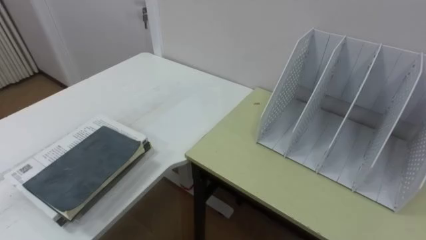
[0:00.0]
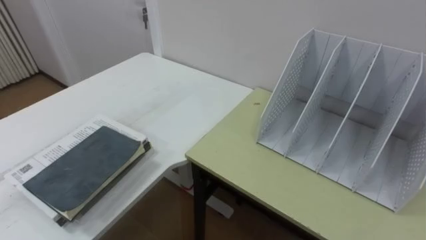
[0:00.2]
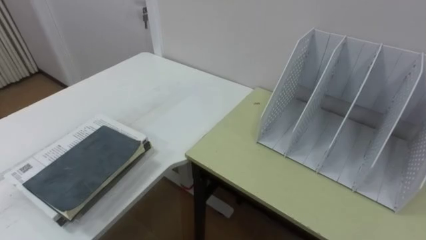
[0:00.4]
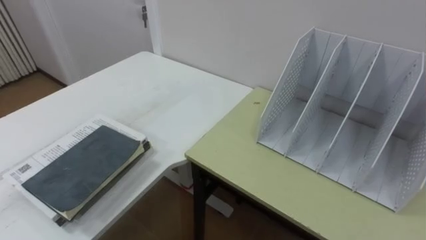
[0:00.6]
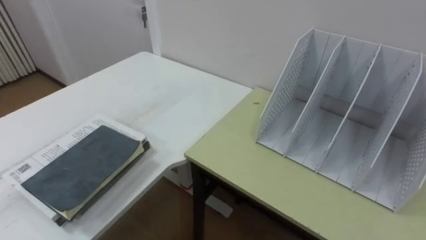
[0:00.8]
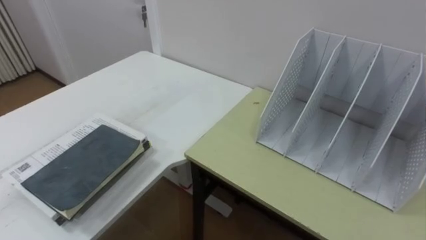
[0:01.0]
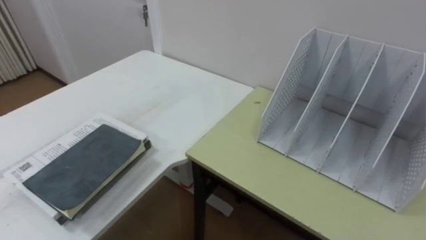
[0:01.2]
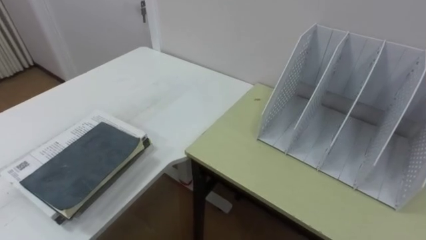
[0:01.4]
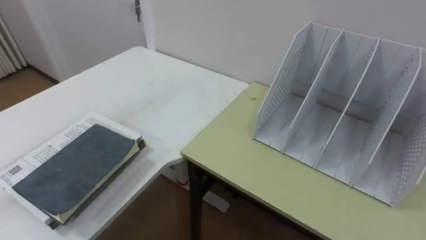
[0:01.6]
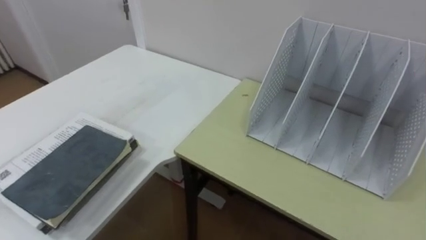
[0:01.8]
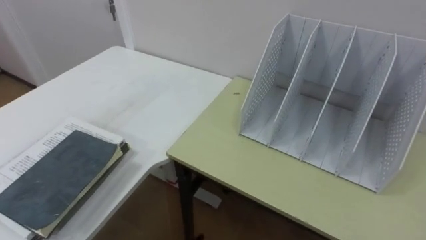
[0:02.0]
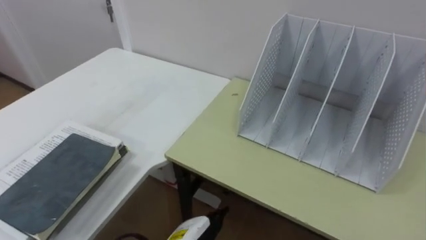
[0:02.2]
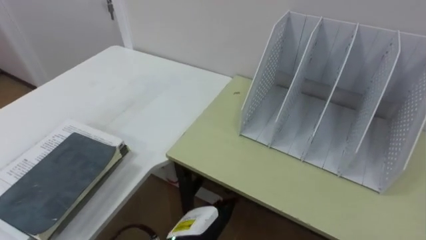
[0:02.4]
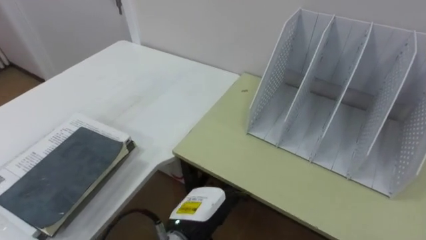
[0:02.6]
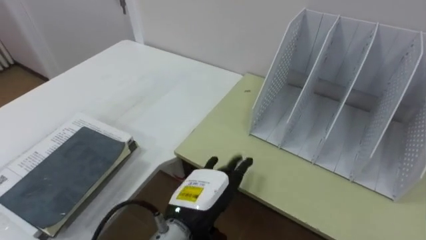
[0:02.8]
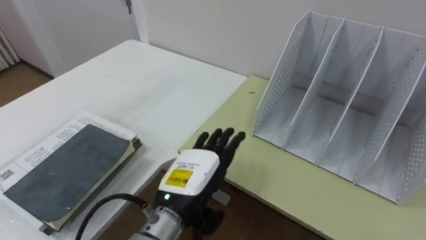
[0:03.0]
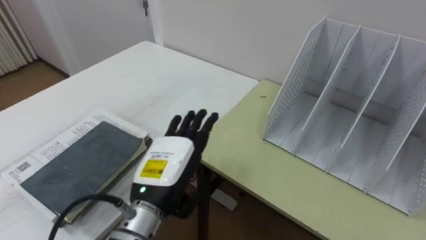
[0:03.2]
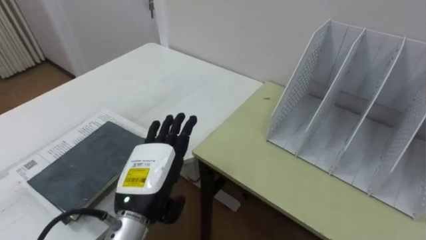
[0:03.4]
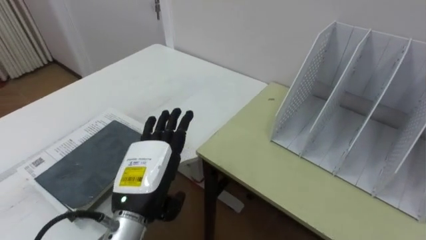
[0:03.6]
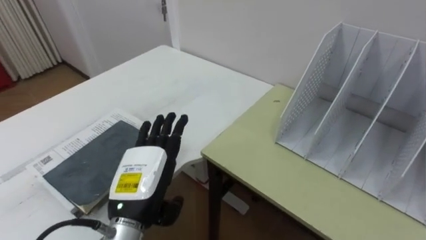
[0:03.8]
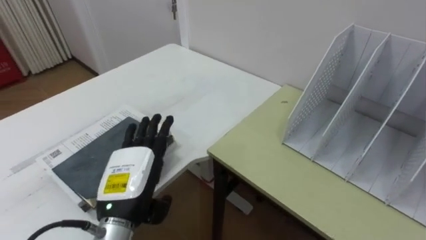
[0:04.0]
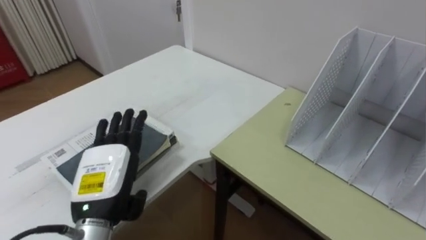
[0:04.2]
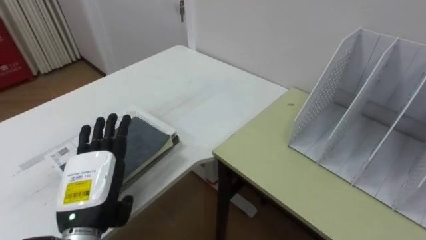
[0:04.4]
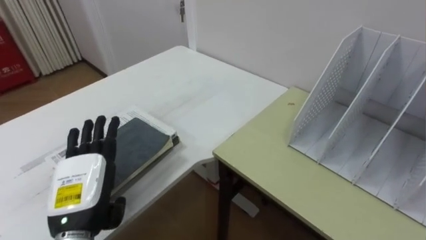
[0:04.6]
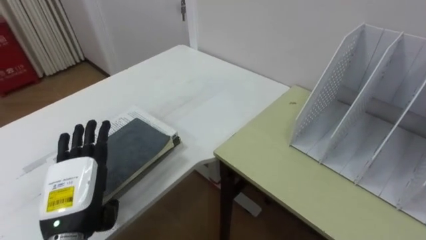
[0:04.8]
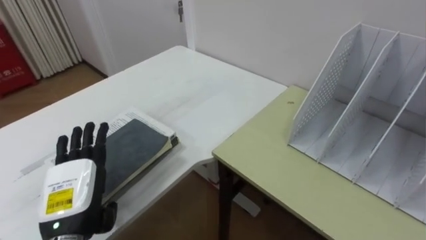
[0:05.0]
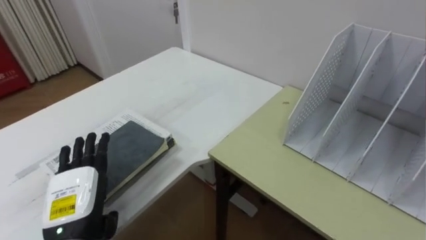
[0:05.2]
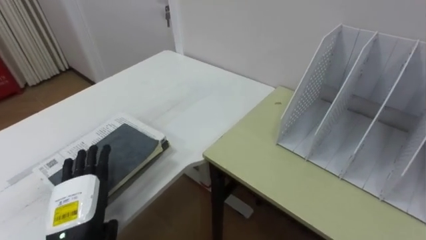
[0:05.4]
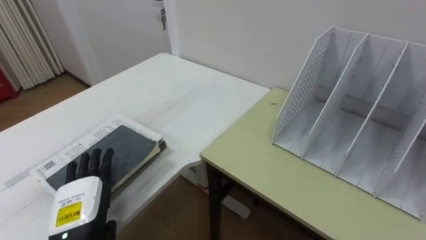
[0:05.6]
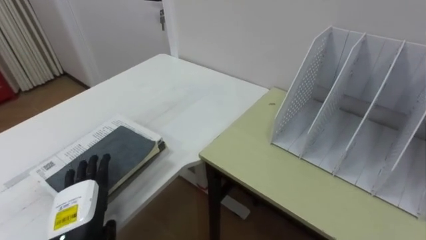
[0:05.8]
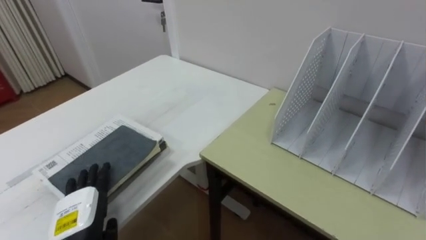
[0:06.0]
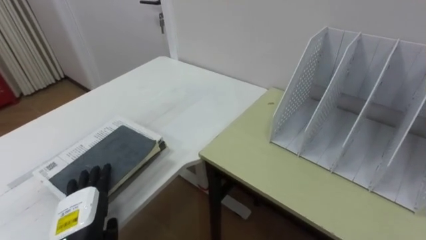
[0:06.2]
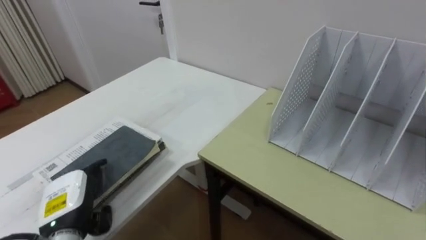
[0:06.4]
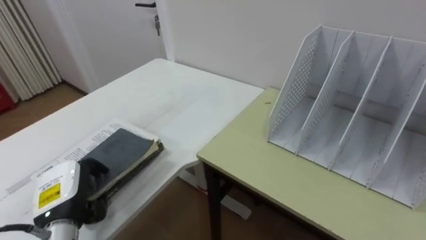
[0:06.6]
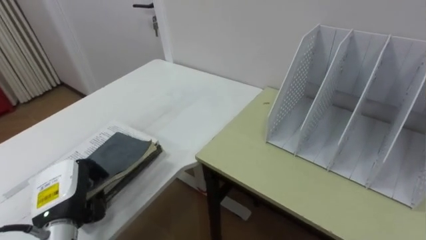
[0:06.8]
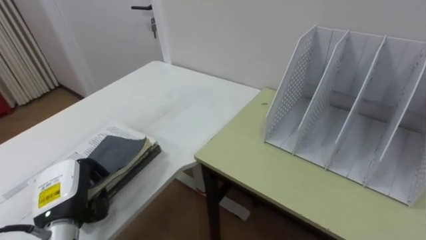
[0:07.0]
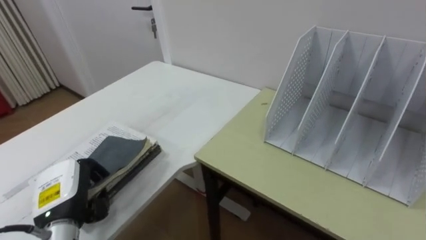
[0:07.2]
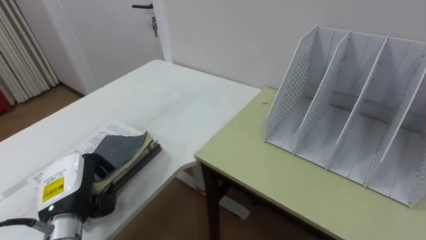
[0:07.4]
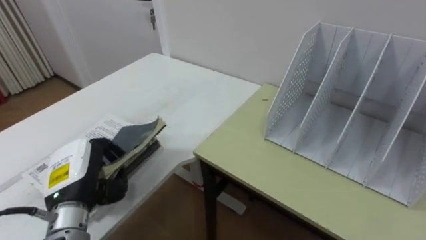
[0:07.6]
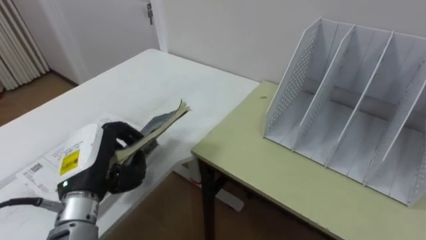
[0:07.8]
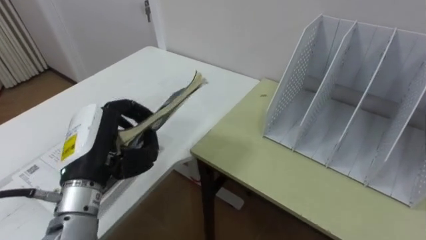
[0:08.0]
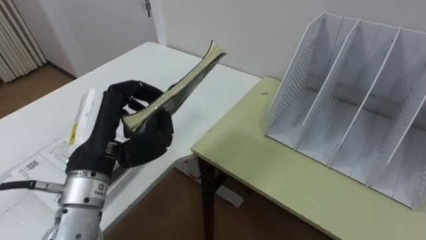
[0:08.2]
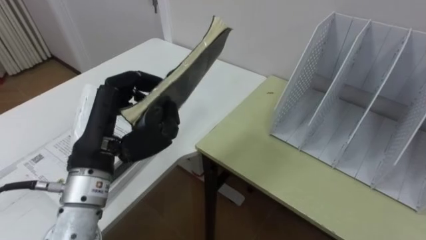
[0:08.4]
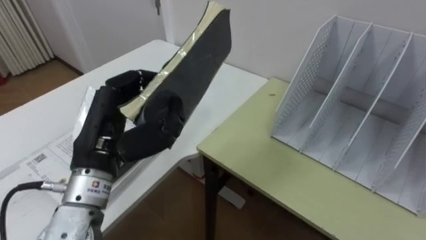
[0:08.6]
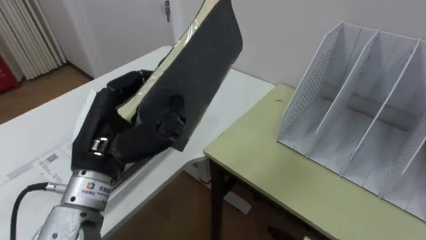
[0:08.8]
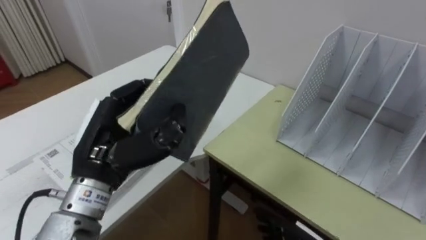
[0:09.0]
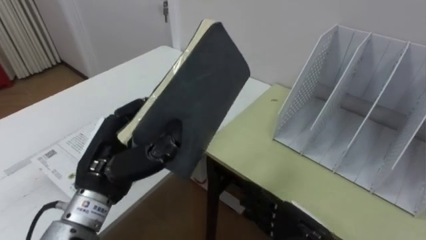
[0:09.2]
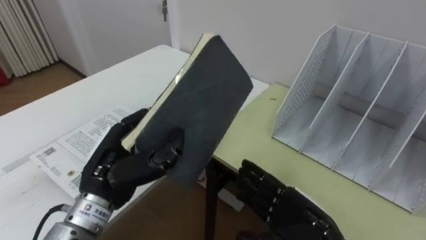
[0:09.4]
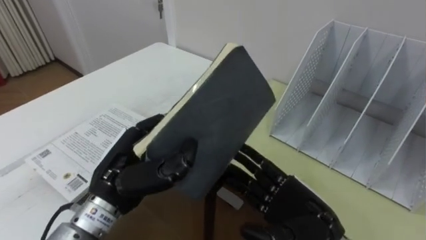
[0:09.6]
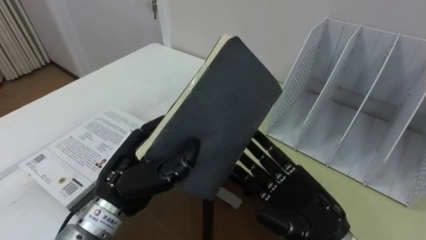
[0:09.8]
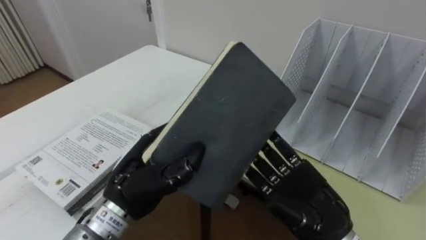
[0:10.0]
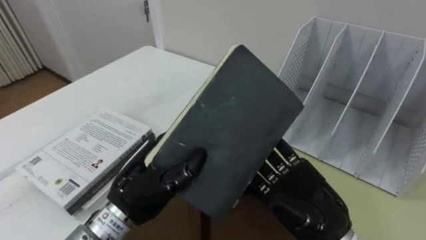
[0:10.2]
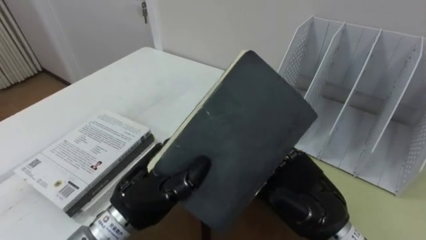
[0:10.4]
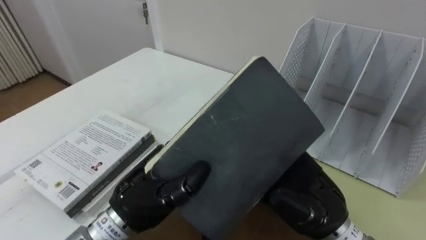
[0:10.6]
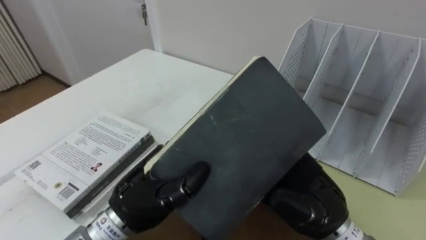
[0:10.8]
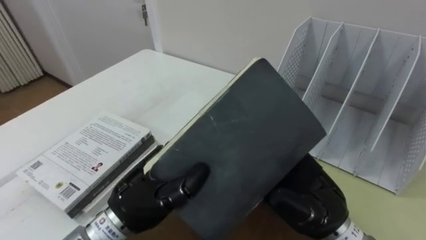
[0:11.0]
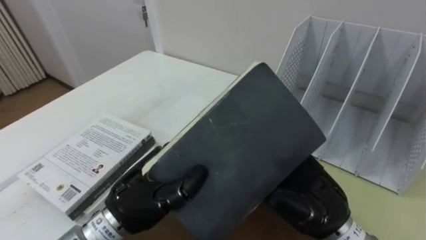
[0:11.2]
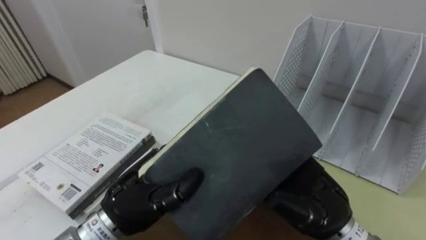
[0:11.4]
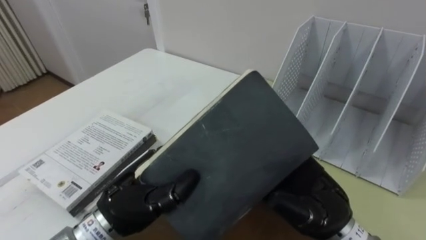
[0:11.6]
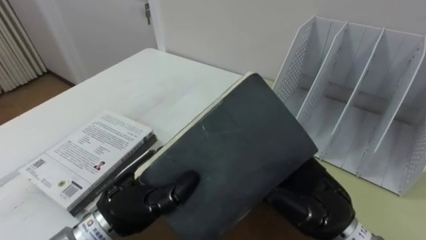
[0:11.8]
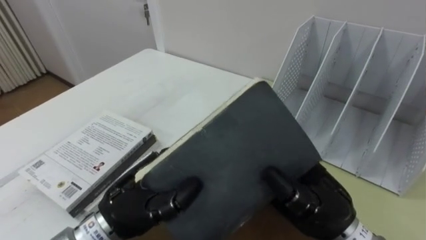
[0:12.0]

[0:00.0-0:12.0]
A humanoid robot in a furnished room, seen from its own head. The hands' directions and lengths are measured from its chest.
Task of the whole recording: Put the books on the table onto the bookshelf.
0:03.0 to 0:04.4: The left hand travels to the left by approximately 15 cm.
0:04.4 to 0:06.0: The left hand goes some 10 cm downward.
0:06.0 to 0:07.6: The left hand moves upward, approximately 5 cm, and closes up.
0:07.6 to 0:09.0: The left hand goes some 15 cm upward and to the right.
0:09.0 to 0:10.4: The left hand shifts about 5 cm downward.
0:10.4 to 0:12.0: The right hand closes.

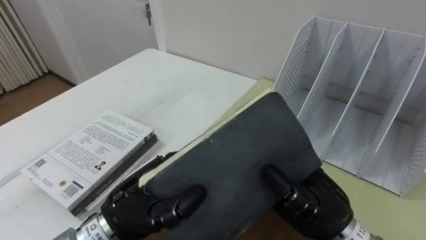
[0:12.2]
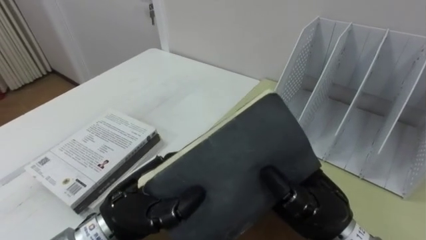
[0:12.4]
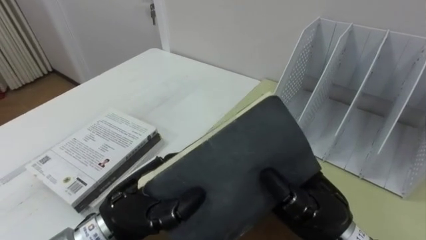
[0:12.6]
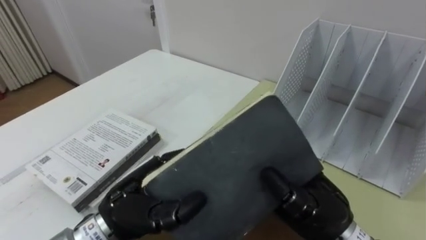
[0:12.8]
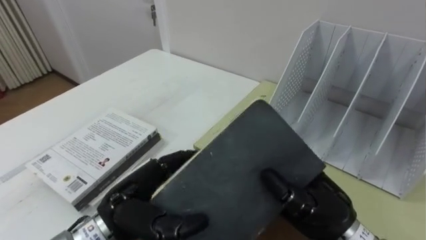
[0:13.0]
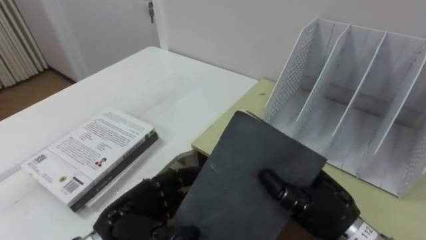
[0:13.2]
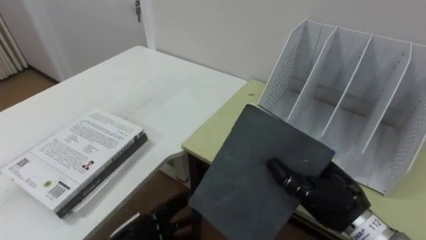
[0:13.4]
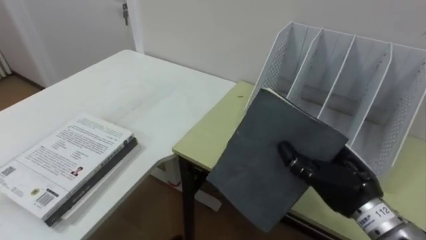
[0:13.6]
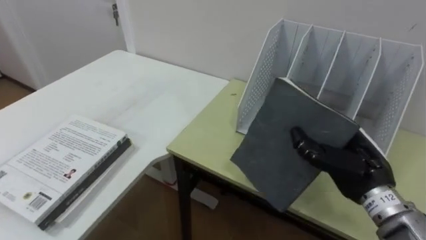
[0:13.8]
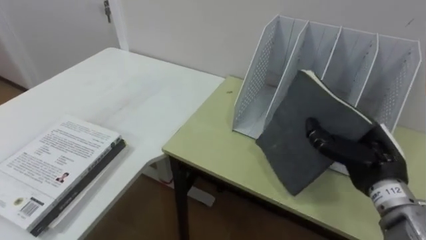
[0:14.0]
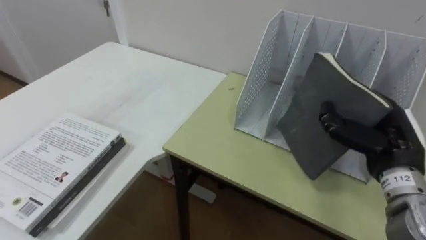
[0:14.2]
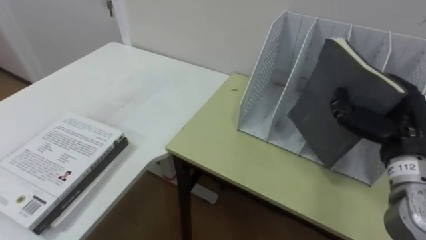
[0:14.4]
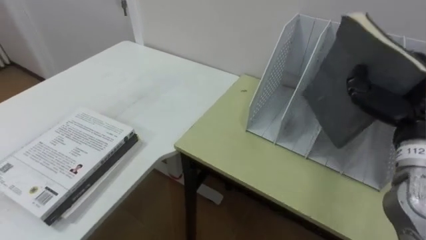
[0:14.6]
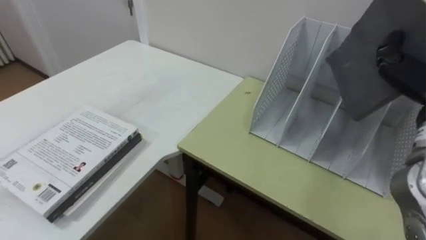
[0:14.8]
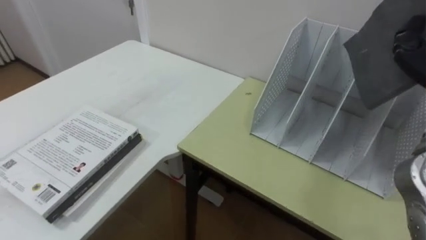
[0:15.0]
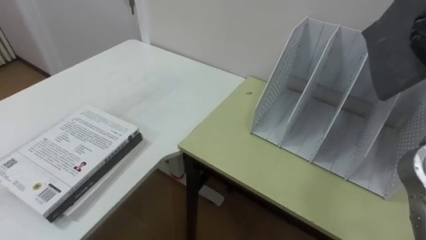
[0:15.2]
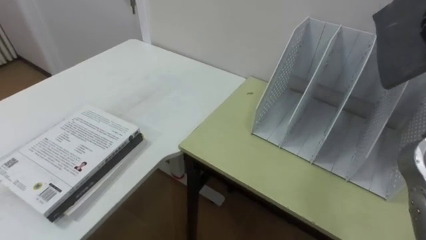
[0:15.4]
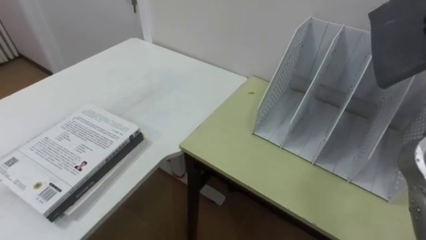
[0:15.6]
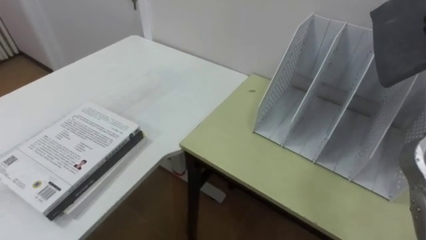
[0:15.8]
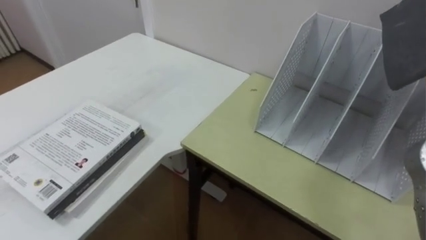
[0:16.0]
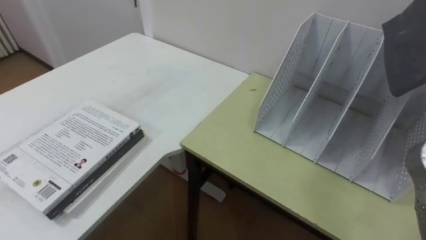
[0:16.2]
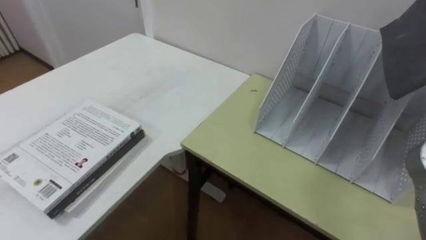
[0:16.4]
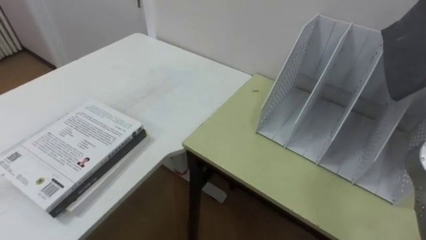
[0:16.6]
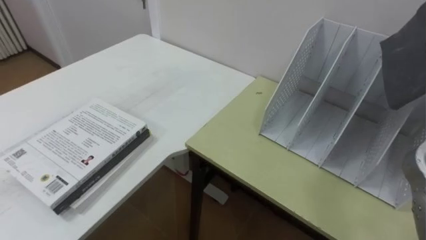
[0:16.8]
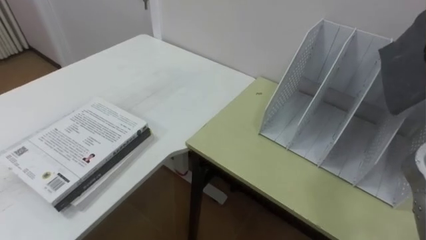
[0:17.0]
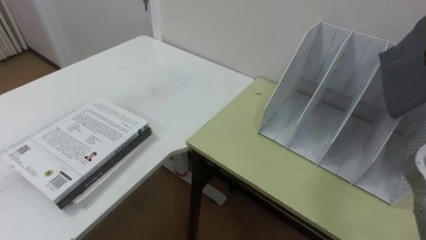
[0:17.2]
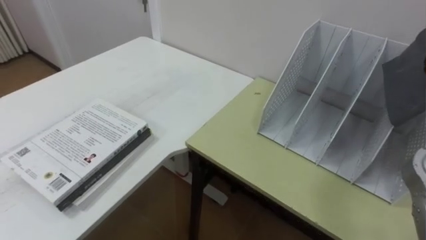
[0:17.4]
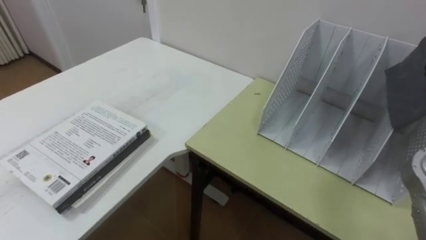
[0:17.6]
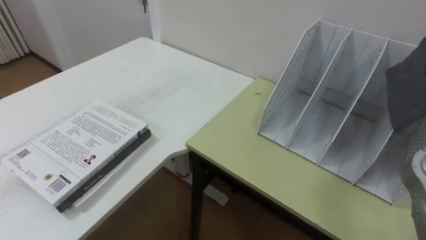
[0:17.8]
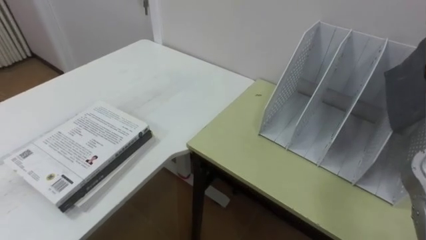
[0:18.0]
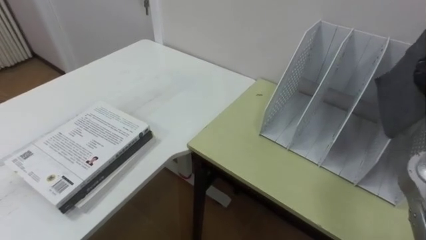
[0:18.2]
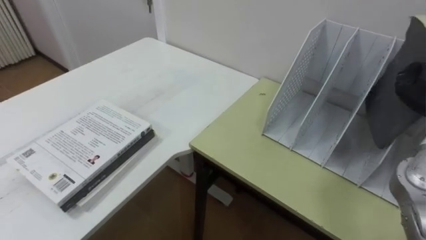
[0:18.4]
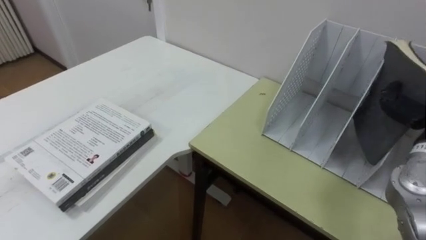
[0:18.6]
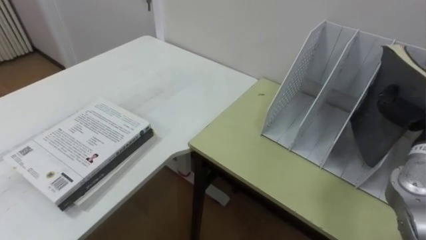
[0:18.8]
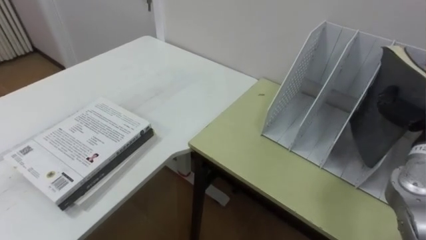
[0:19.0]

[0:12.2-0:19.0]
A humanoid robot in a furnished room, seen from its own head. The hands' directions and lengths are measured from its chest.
Task of the whole recording: Put the books on the table onto the bookshelf.
0:12.2 to 0:13.6: The right hand goes approximately 5 cm to the right.
